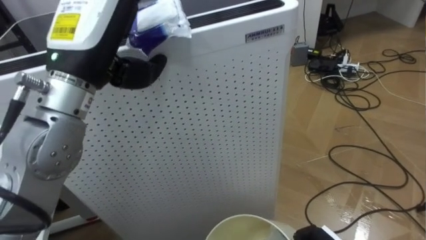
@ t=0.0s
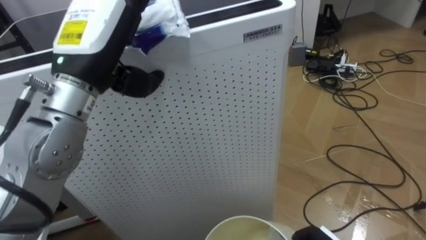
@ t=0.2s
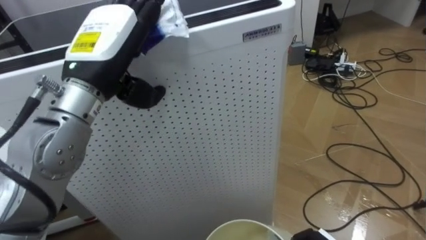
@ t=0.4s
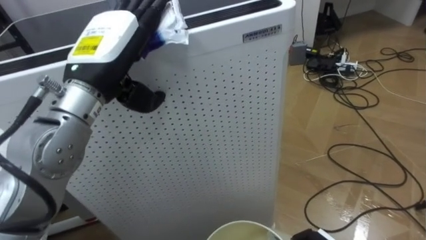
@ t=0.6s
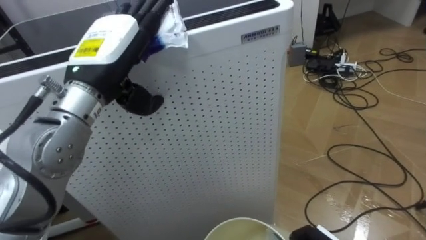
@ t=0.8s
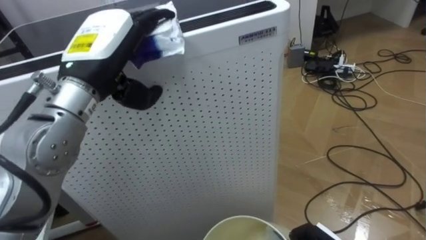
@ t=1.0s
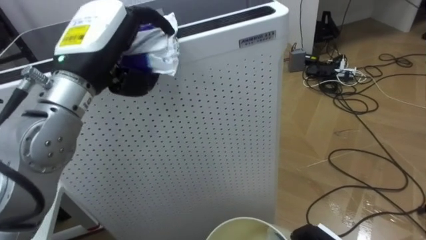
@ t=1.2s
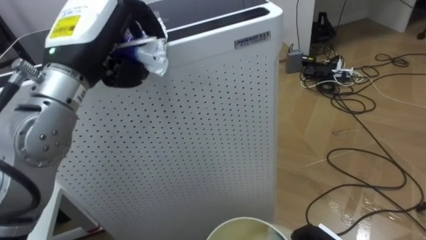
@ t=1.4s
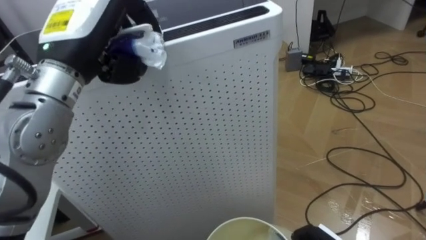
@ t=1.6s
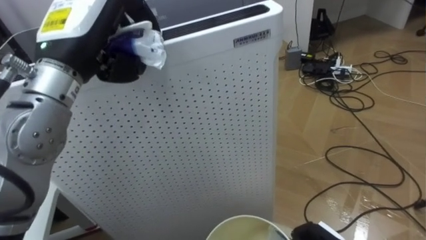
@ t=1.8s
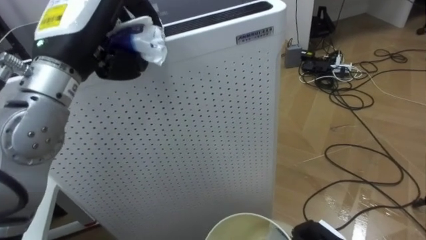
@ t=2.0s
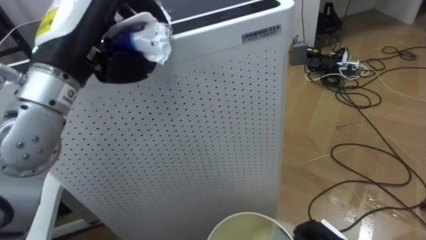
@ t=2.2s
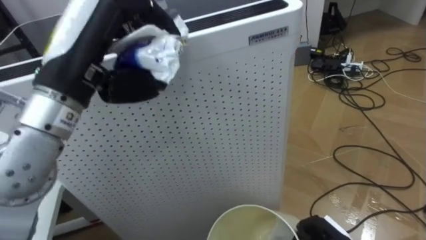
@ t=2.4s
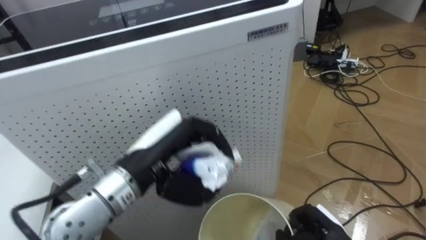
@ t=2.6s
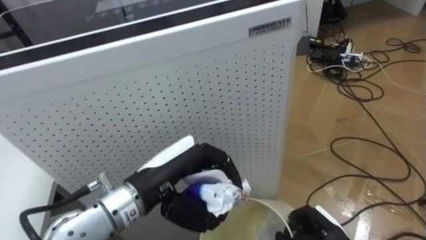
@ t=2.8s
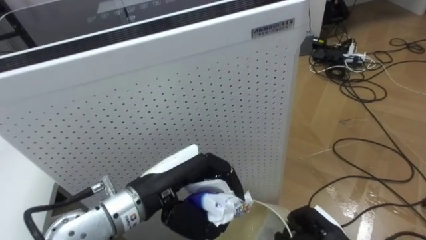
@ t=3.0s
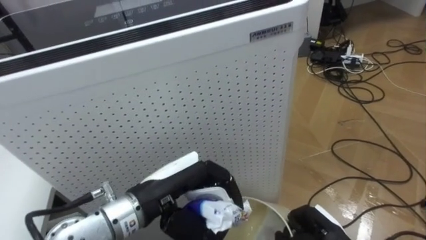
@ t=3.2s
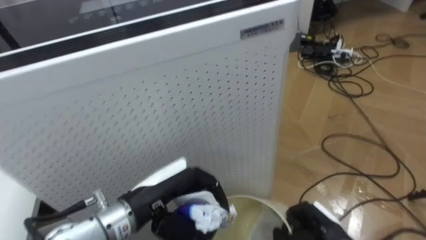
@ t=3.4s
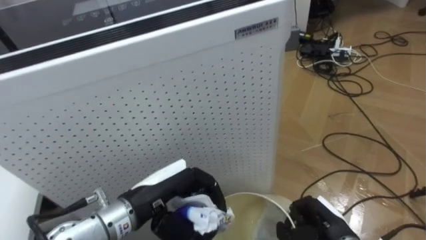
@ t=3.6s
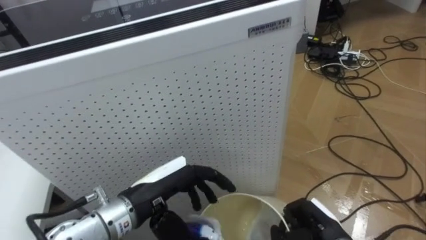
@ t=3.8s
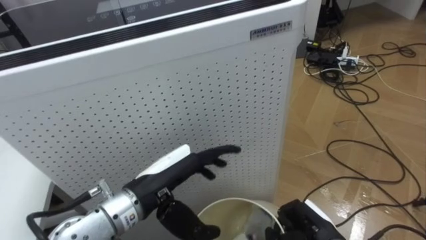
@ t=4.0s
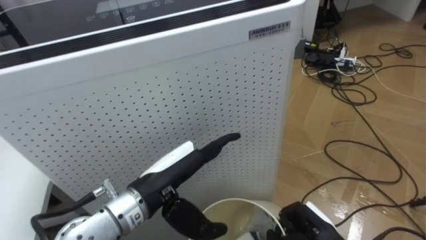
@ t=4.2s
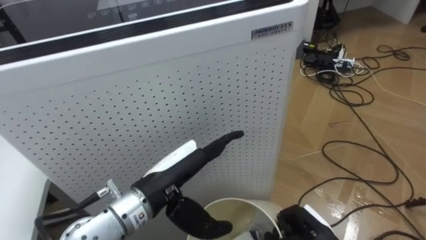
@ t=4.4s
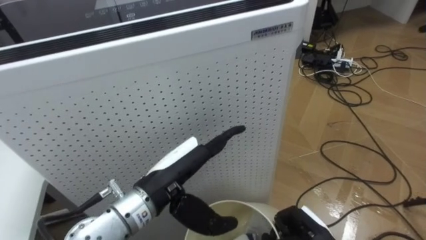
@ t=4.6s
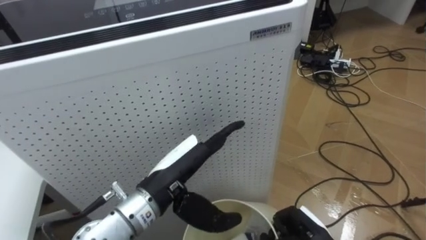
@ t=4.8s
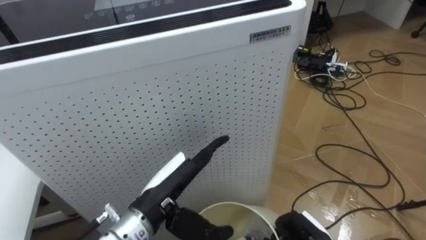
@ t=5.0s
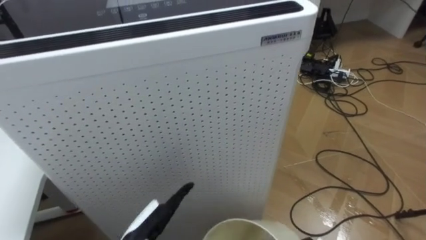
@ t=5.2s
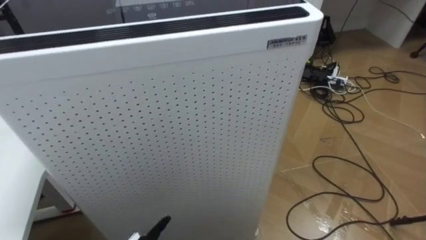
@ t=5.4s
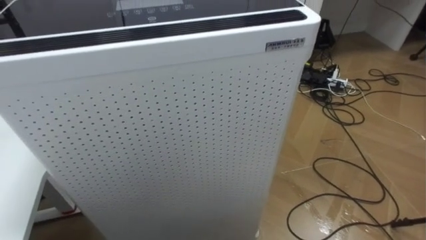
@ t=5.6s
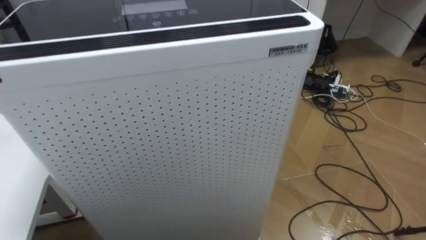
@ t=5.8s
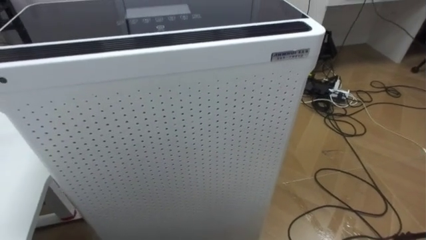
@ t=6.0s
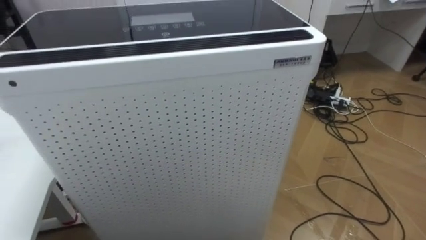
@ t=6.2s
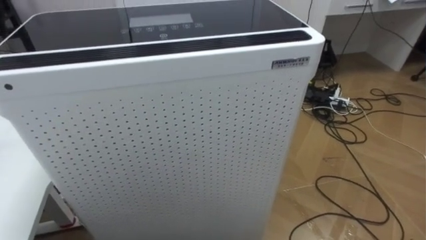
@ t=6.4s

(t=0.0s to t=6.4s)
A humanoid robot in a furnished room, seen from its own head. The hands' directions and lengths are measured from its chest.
Task of the whole recording: Pick up the light blue package, the candy box, and the dark blue package separately, and put them into the trash can held in your right hand.
t=0.0s - t=1.6s: The left hand closes.
t=1.6s - t=3.2s: The left hand shifts roughly 20 cm downward, to the right and backward.
t=3.2s - t=4.8s: The left hand opens its fingers.

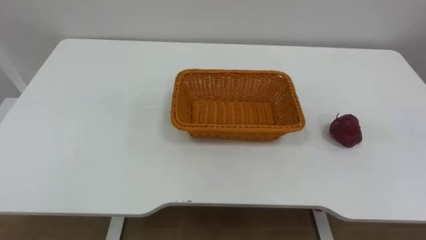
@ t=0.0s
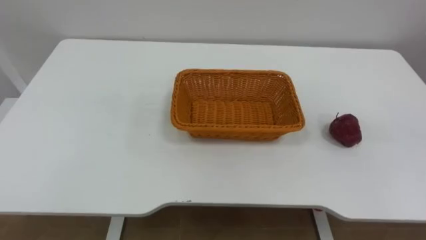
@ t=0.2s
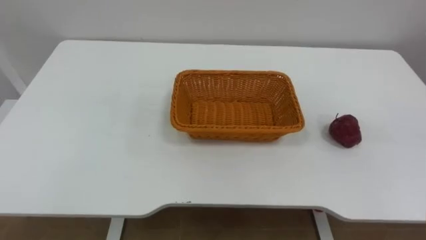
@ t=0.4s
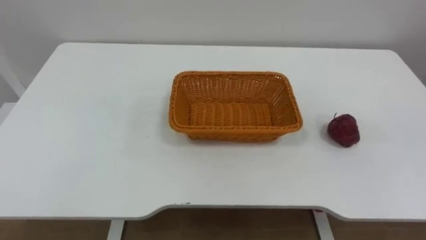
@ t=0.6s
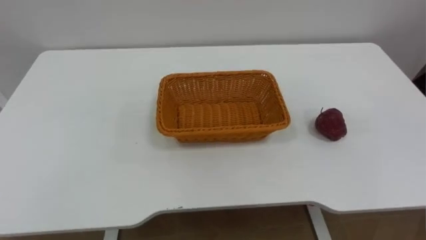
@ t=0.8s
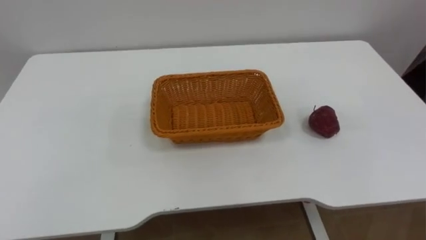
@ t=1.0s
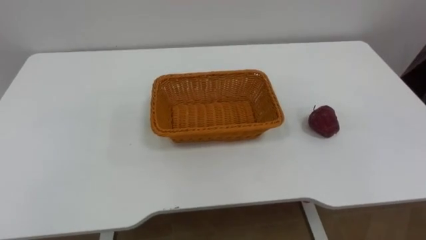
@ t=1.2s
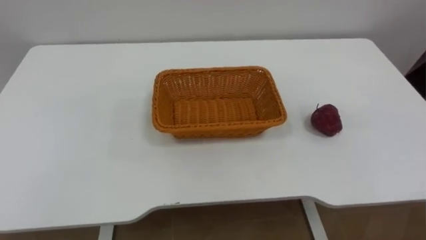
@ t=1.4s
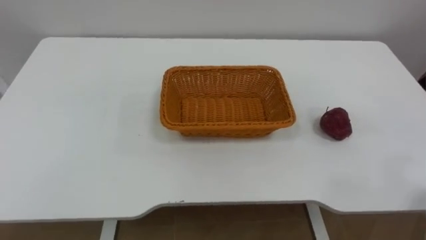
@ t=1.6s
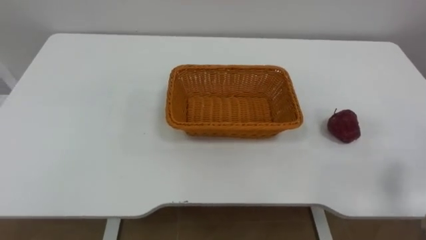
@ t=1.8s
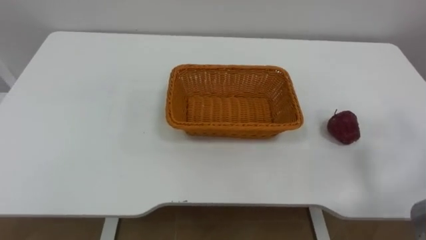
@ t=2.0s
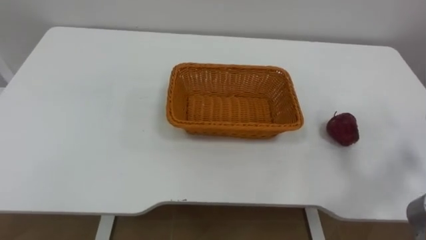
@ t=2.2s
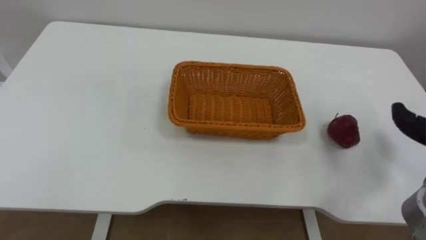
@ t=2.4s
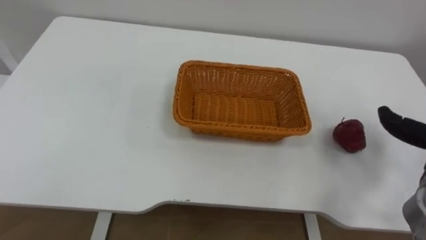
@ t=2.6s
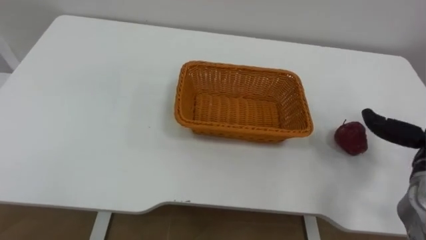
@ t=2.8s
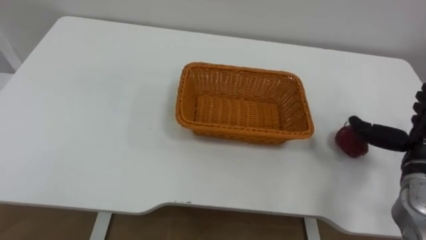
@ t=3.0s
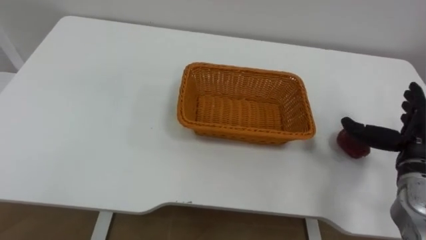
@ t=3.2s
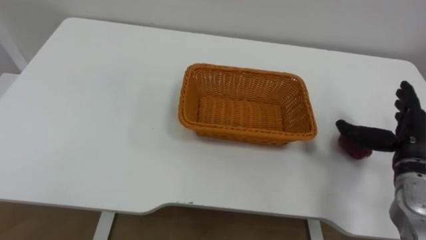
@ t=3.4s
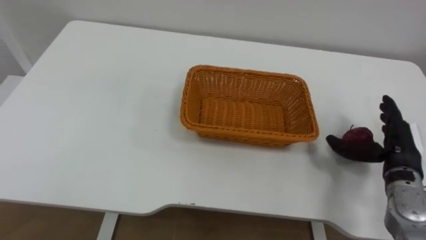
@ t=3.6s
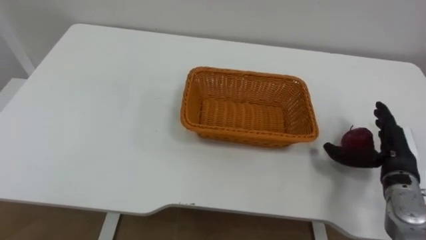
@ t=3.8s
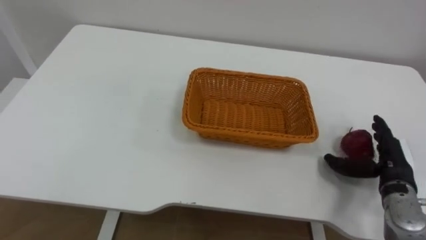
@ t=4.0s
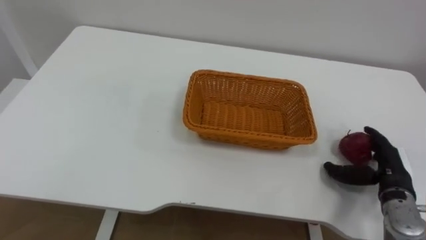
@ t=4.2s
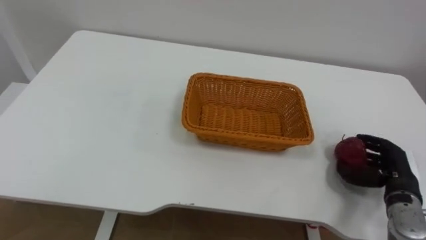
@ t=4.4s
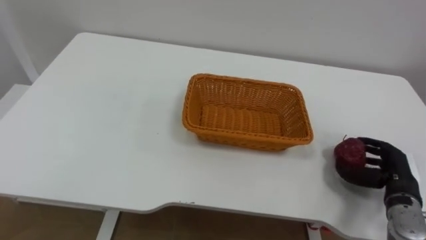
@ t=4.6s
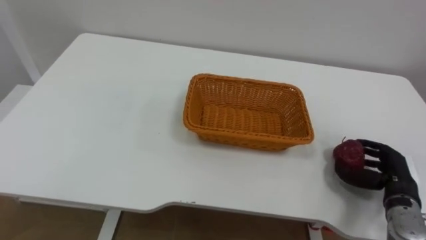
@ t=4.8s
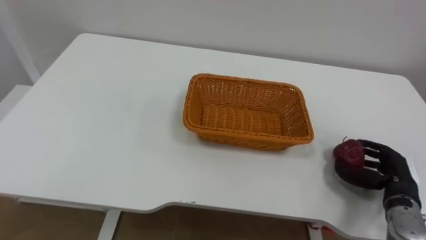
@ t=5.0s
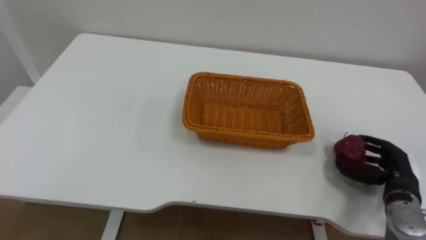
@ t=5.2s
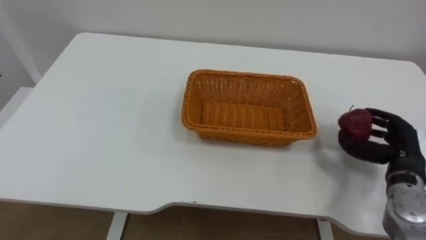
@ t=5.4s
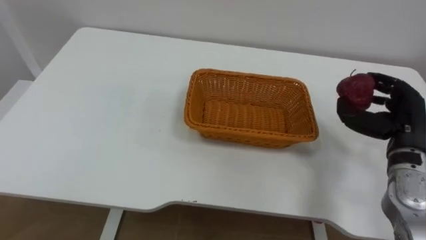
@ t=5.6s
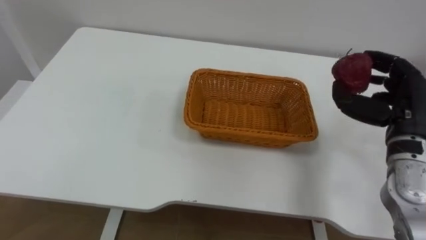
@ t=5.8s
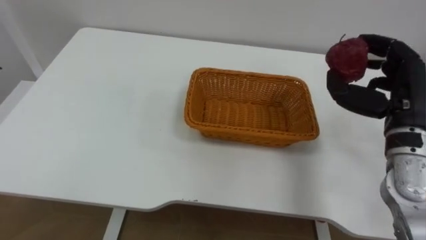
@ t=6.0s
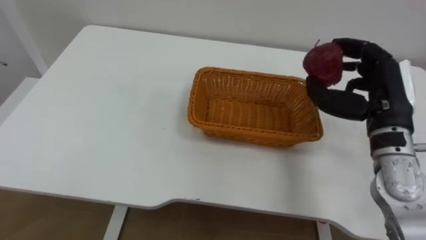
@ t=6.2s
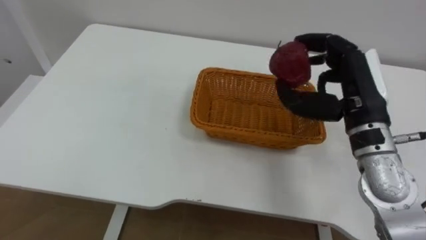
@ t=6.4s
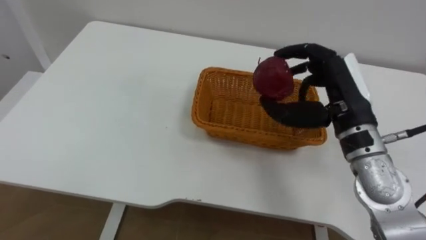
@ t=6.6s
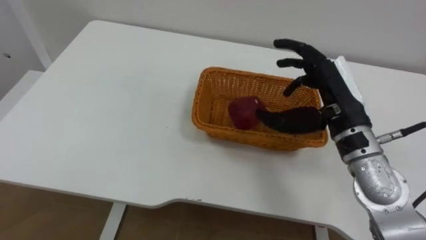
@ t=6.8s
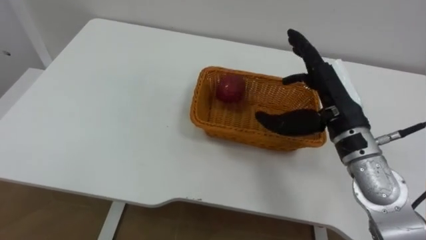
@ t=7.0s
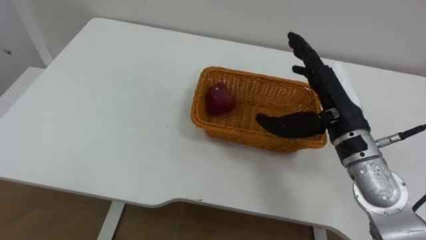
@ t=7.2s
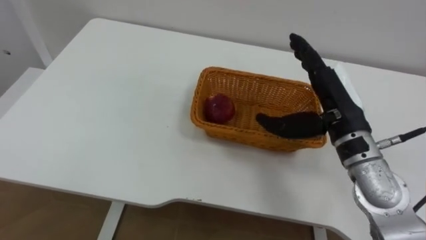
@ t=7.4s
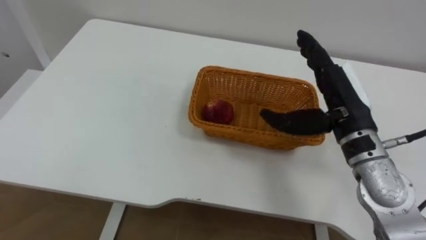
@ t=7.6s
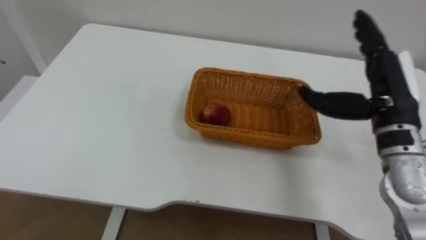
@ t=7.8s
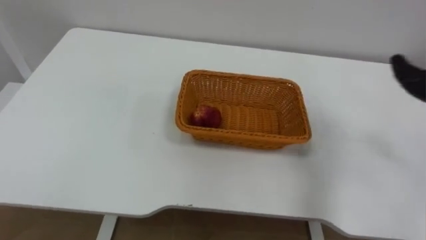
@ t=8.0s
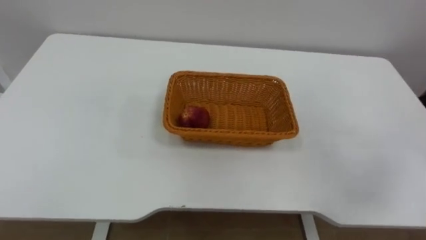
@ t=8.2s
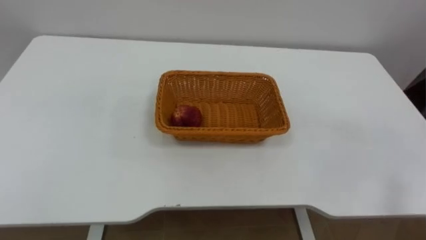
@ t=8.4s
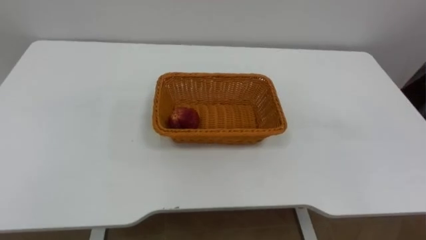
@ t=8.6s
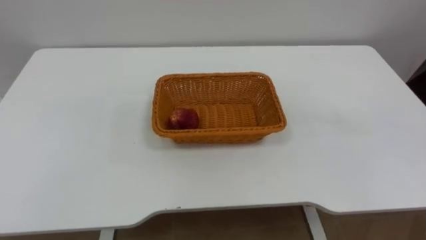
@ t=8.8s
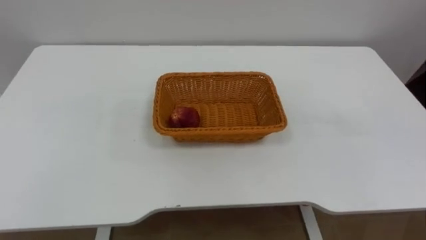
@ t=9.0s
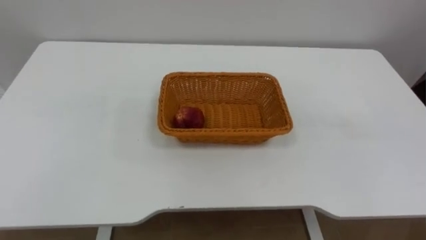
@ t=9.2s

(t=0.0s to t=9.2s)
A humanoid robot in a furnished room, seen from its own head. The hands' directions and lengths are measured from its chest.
Task of the whole recording: Pick the apple and place it in the box.
t=3.0s - t=4.6s: The right hand is displaced downward by about 10 cm, and closes.
t=4.6s - t=6.2s: The right hand is displaced upward and to the left by roughly 20 cm.
t=6.2s - t=7.6s: The right hand goes about 5 cm to the left, and opens up.

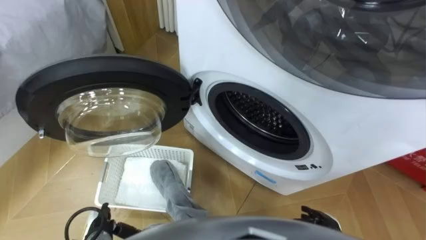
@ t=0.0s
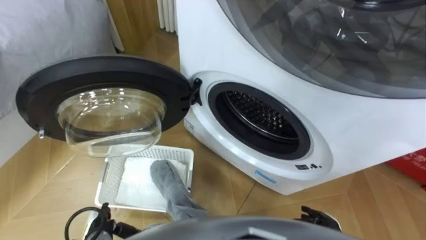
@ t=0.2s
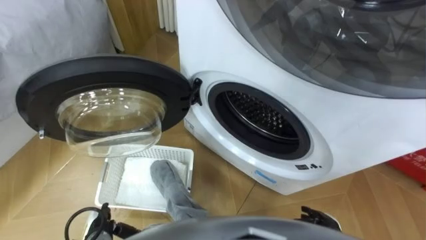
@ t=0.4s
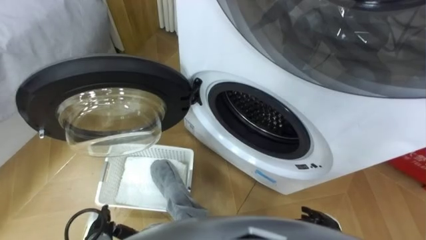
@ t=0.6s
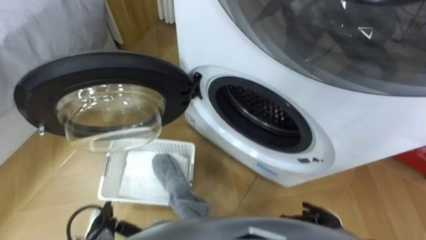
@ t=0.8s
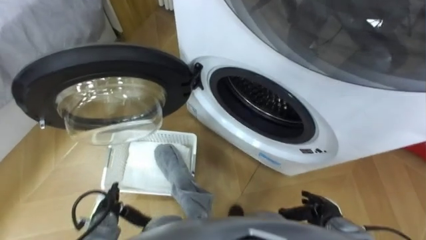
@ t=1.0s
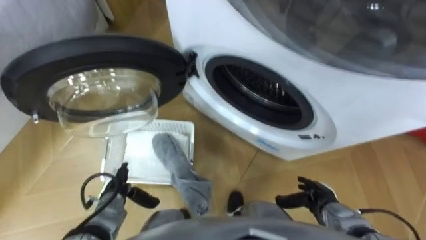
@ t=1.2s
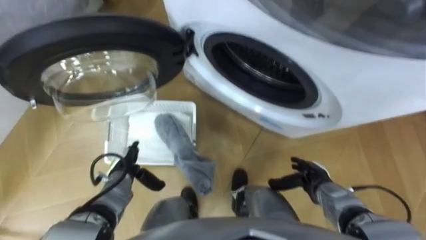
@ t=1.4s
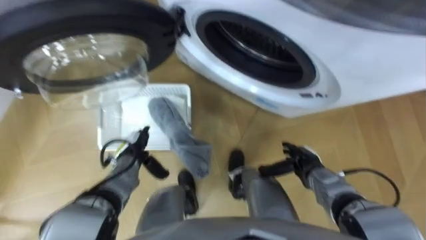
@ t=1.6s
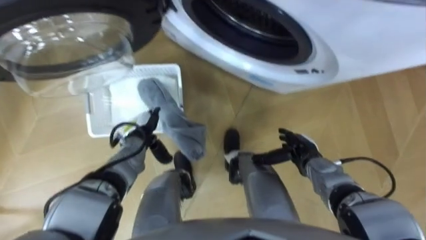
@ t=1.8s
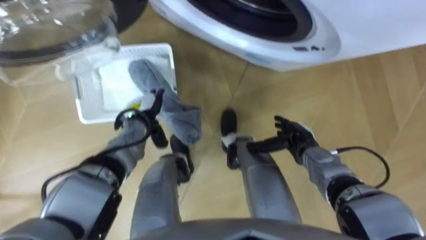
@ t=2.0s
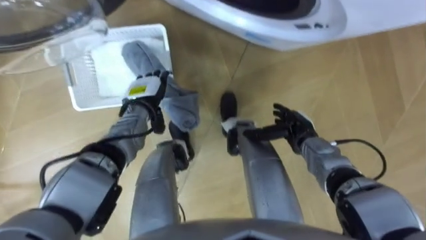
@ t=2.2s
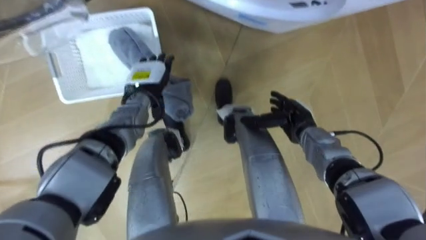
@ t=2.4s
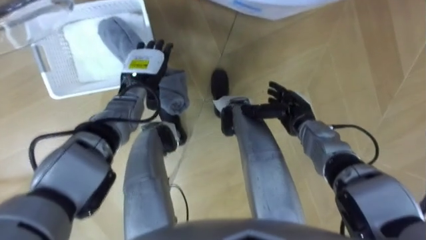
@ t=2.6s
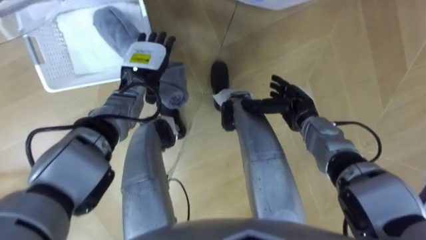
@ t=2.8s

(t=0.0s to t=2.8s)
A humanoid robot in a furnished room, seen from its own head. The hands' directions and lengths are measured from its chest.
Task of the whole recording: Take the towel from the basket and put it into the washing machine.
t=1.4s - t=2.8s: Both hands move forward and upward, approximately 20 cm.
